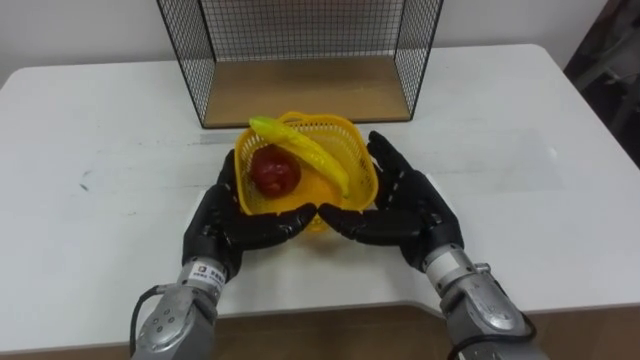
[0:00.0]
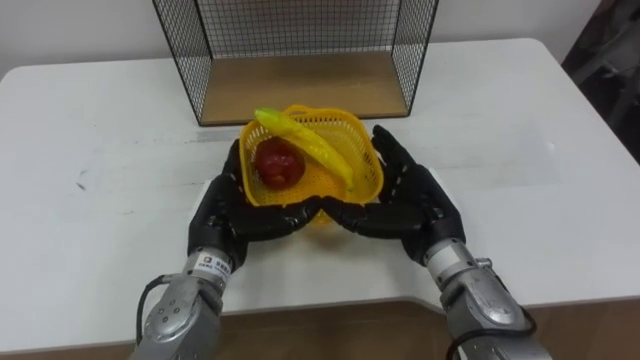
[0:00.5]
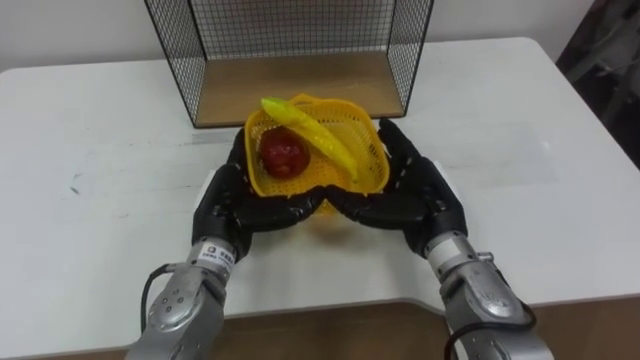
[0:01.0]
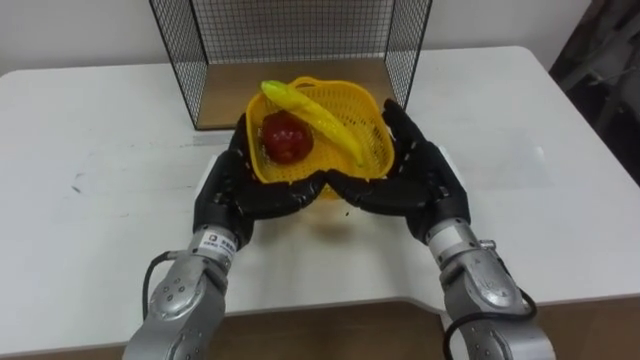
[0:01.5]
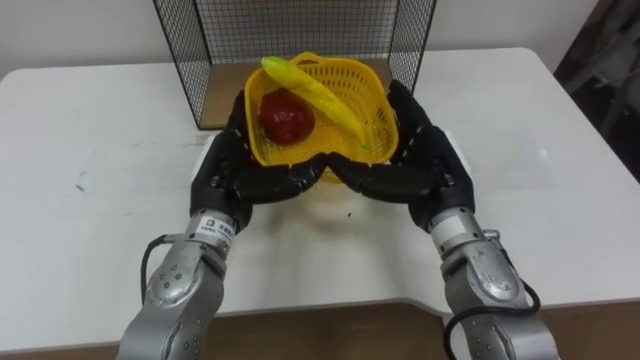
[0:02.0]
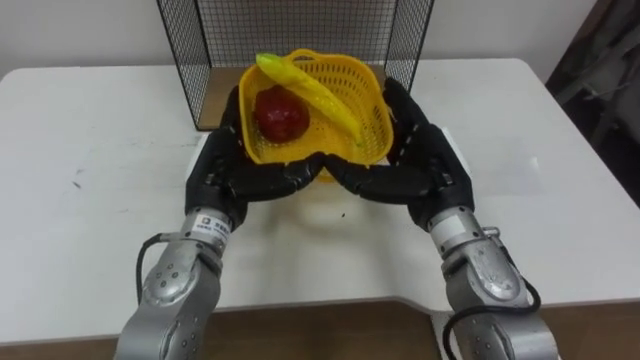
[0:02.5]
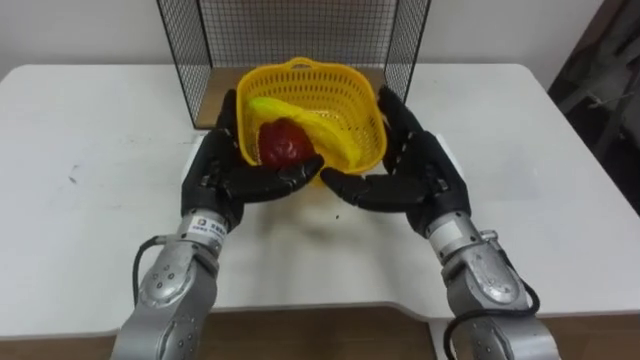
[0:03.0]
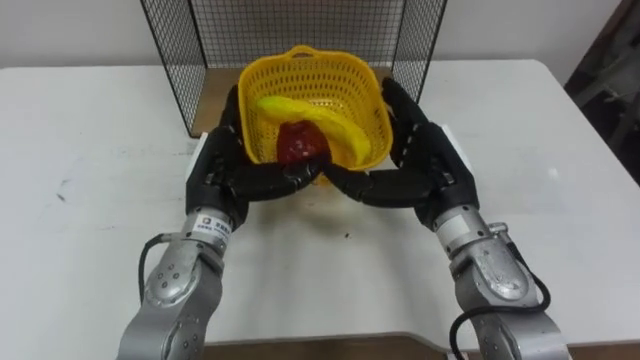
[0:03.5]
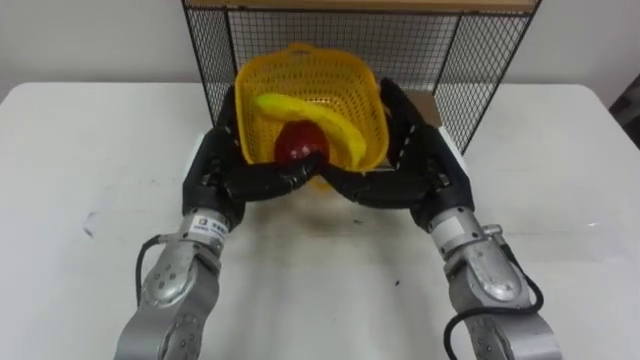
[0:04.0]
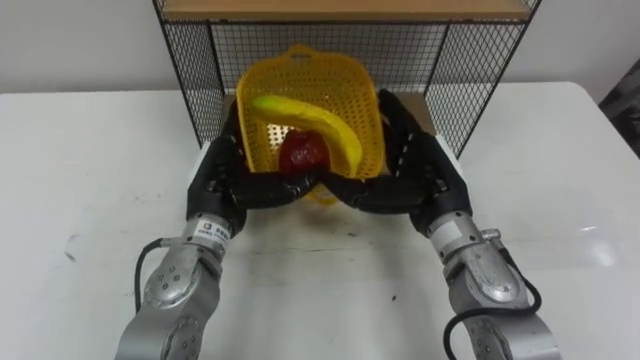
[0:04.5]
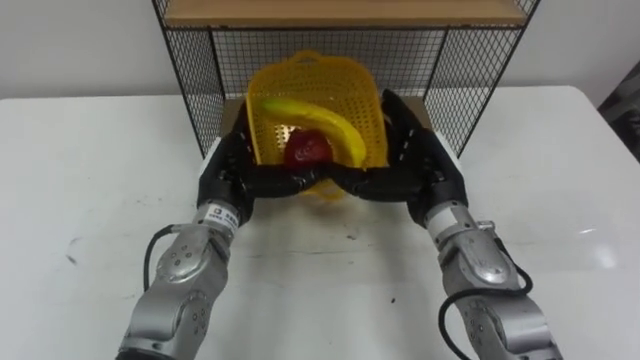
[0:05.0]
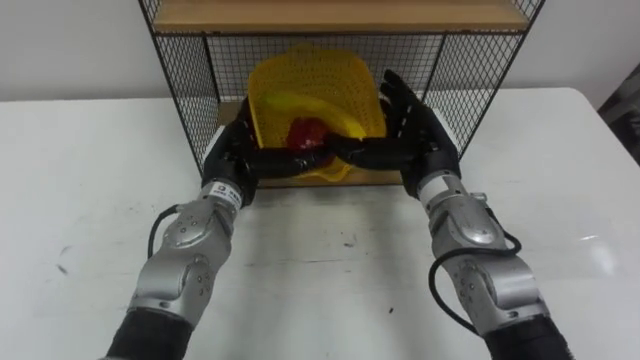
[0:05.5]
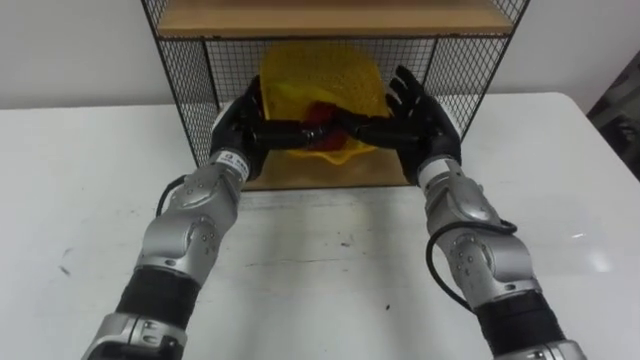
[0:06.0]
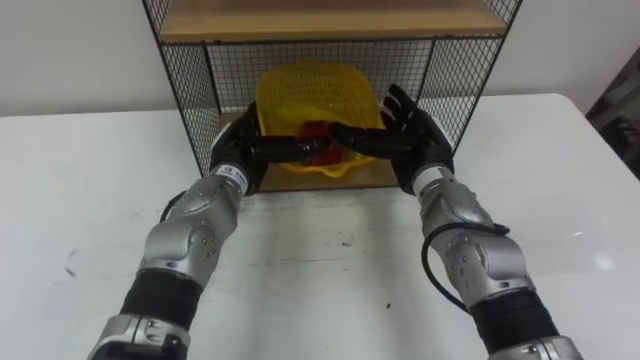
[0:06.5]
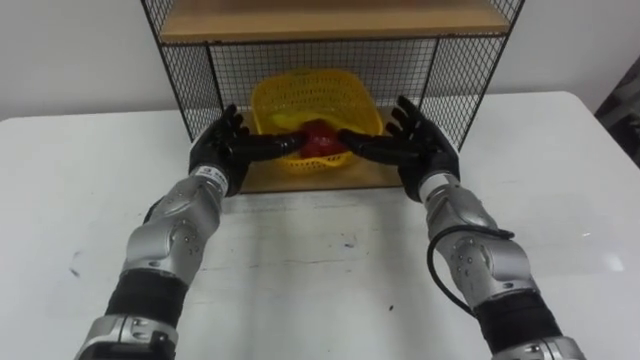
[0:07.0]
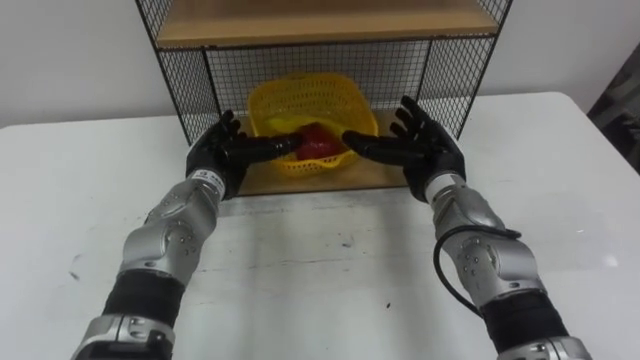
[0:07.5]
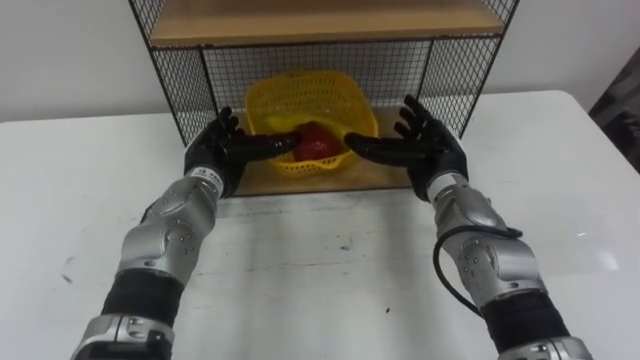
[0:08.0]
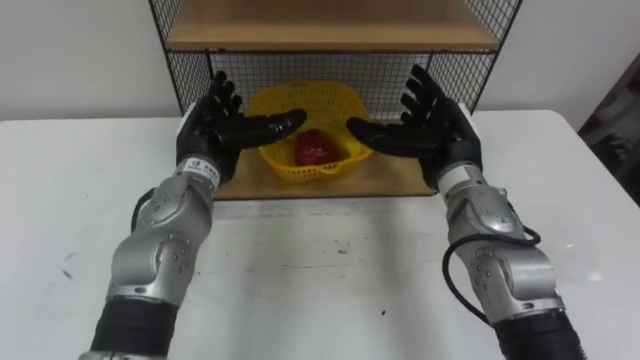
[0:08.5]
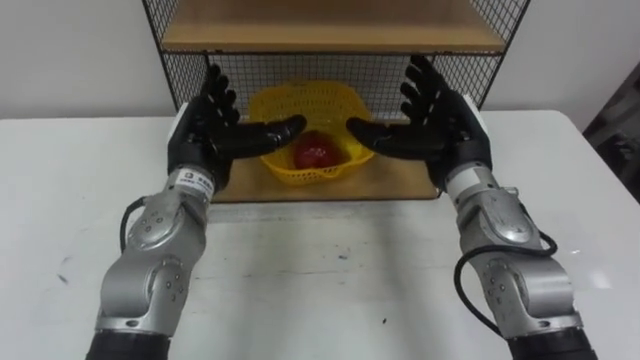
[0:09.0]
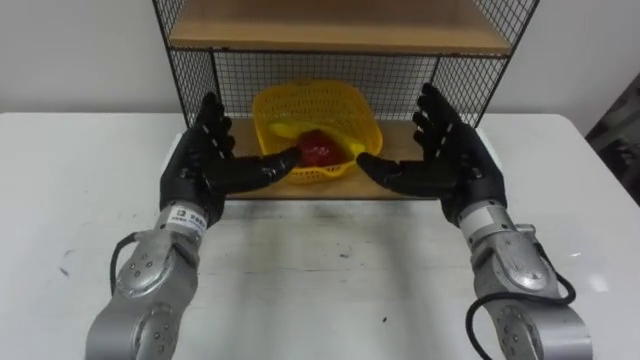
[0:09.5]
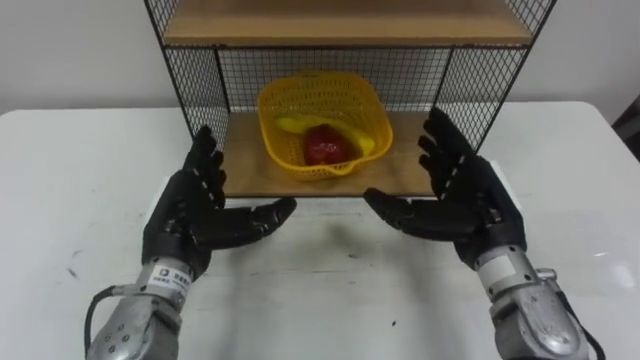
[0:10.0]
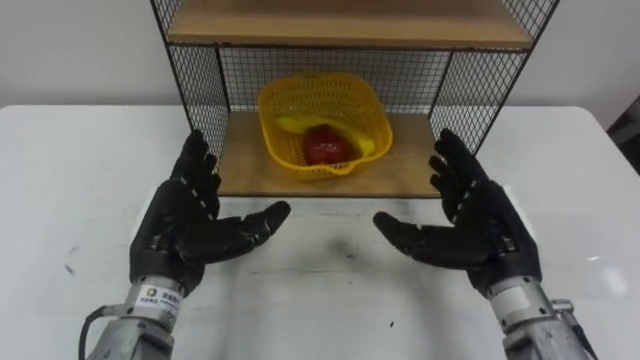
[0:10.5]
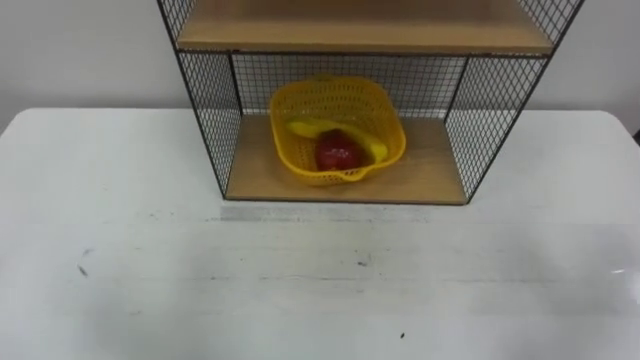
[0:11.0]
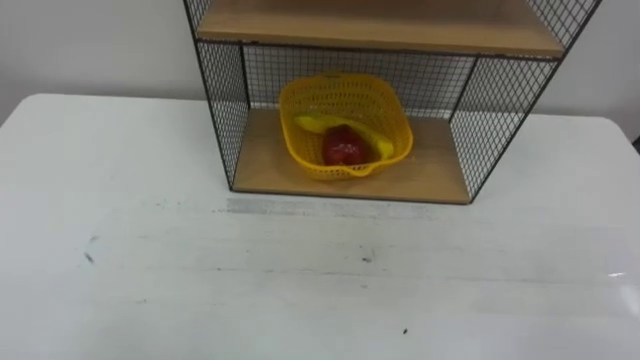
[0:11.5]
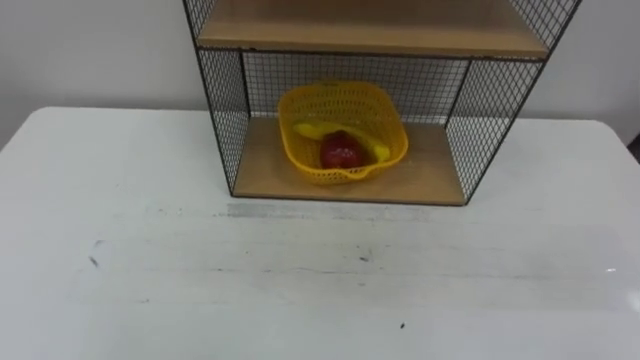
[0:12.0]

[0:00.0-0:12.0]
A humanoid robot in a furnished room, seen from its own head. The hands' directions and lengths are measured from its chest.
Task of the whole recording: Put the fruit on the table into the basket, then place the basket on the shelf.
0:00.0 to 0:02.0: The left hand is displaced upward by some 5 cm, while the right hand changes place by some 5 cm.
0:04.0 to 0:06.0: Both hands move forward, approximately 5 cm.
0:06.0 to 0:08.0: The left hand shifts by roughly 5 cm.
0:08.0 to 0:10.0: The hands both shift backward by about 10 cm.

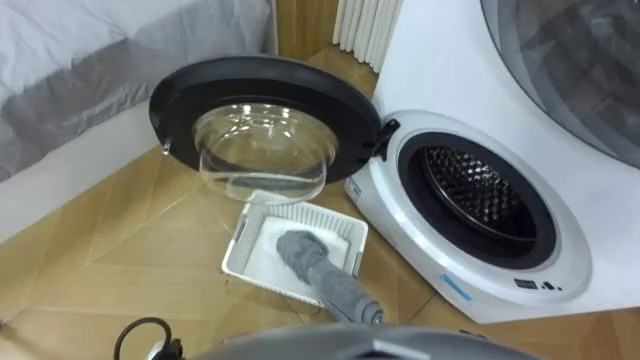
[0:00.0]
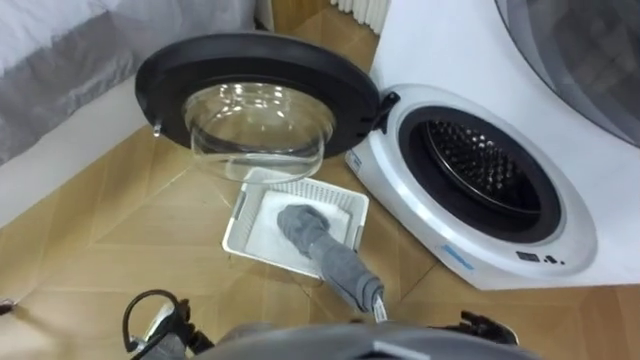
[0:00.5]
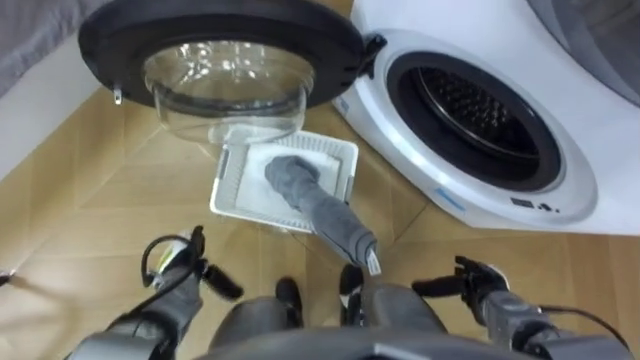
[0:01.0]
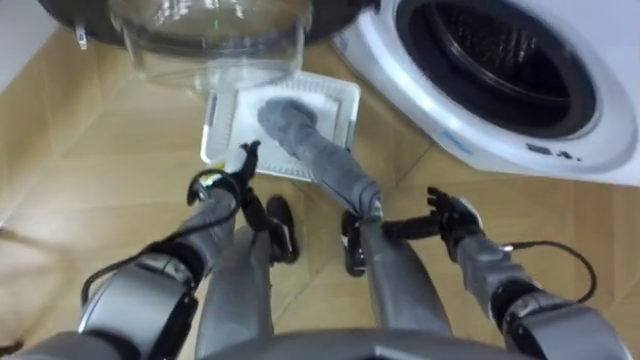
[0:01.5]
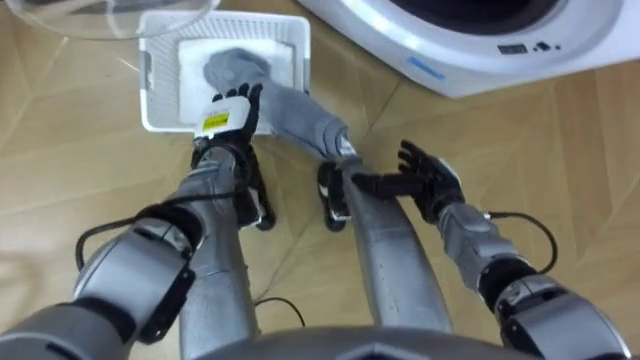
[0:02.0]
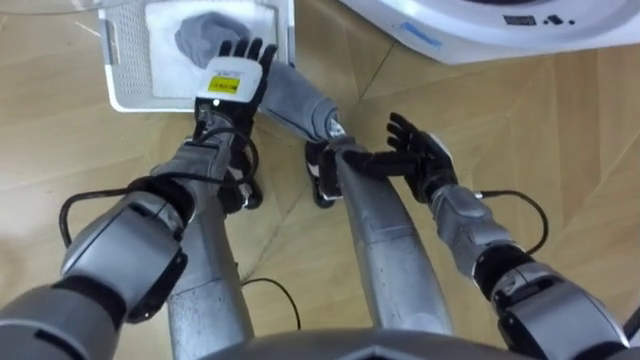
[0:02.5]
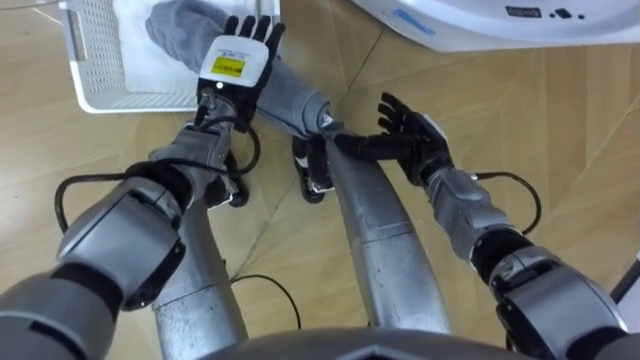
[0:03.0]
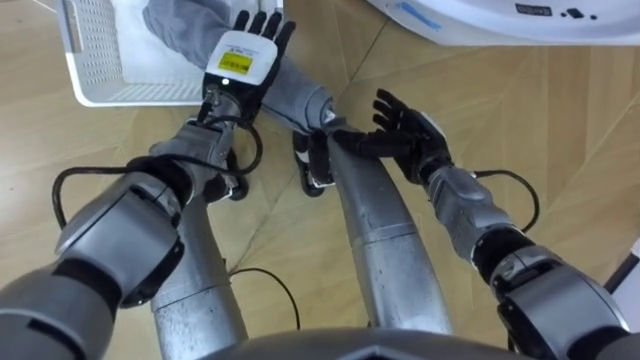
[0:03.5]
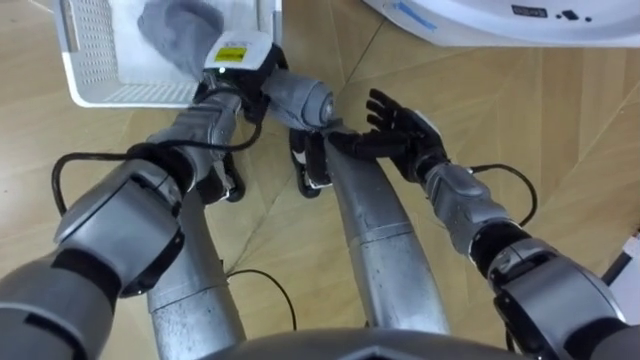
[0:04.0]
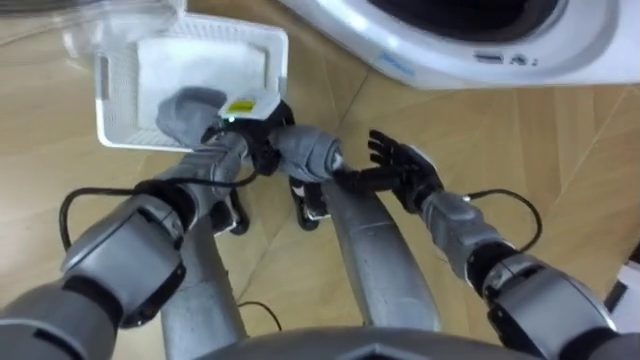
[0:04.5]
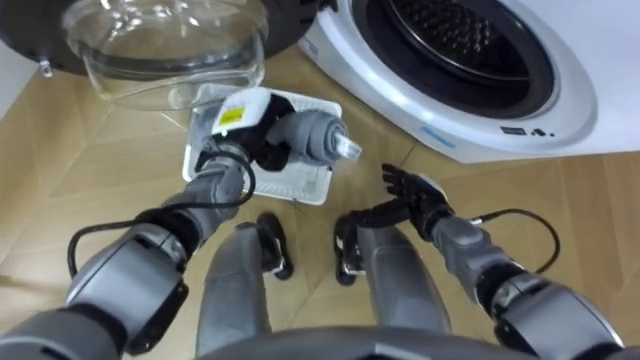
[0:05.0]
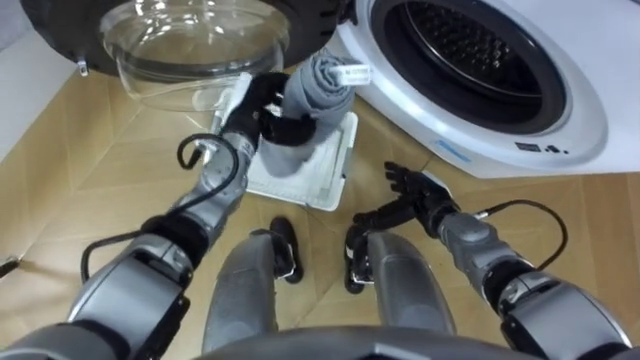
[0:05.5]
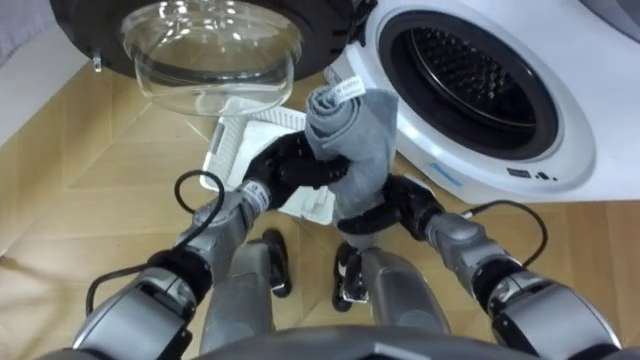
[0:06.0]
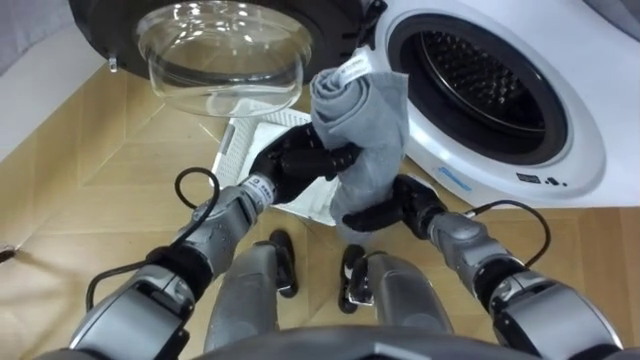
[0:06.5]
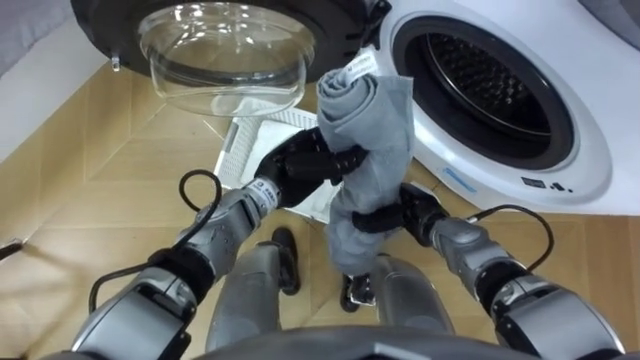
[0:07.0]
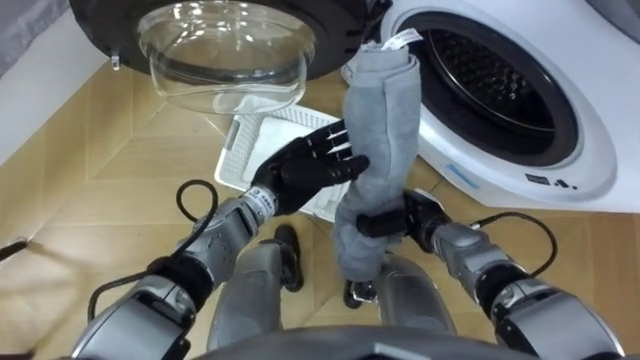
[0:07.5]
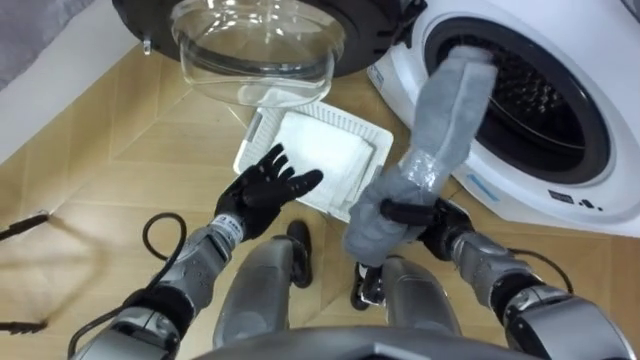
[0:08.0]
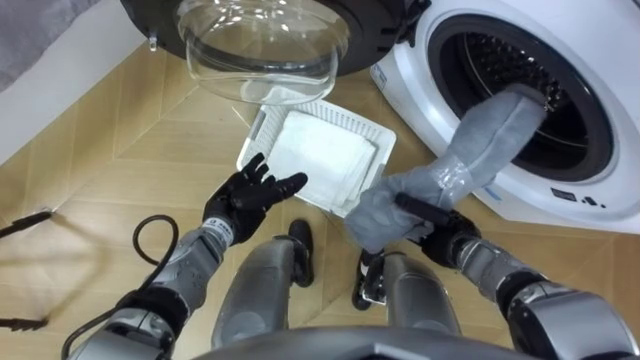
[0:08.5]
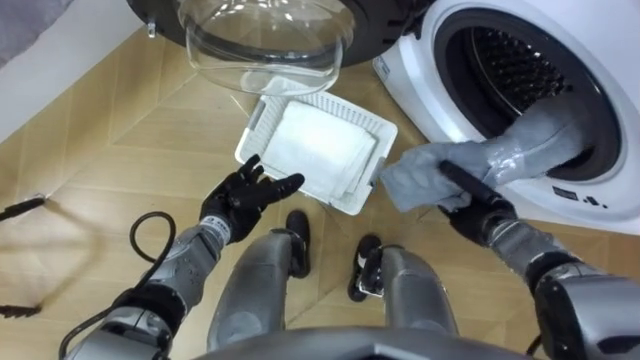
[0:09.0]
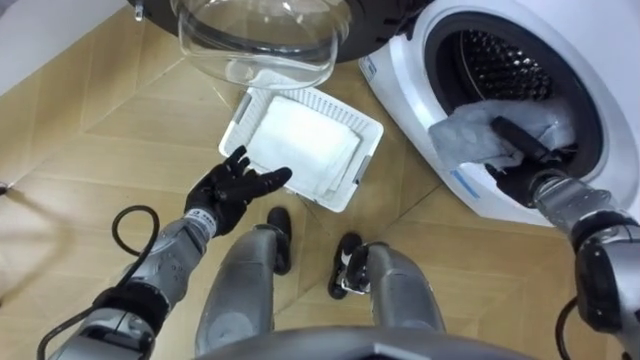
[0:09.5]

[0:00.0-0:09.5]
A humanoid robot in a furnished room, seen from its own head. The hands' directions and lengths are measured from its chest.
Task of the whole recording: Take the towel from the basket and put it into the washing machine.
0:02.0 to 0:04.0: The left hand shifts about 10 cm upward and forward, and closes up. Meanwhile the right hand travels forward and upward by about 5 cm.
0:04.0 to 0:05.5: The left hand moves some 5 cm. Meanwhile the right hand heads backward and downward, covering about 10 cm.
0:05.5 to 0:07.5: The right hand closes. The left hand goes roughly 10 cm backward and to the right.
0:07.5 to 0:09.5: The left hand moves to the left, some 10 cm, and opens its fingers, while the right hand shifts roughly 15 cm to the right.
